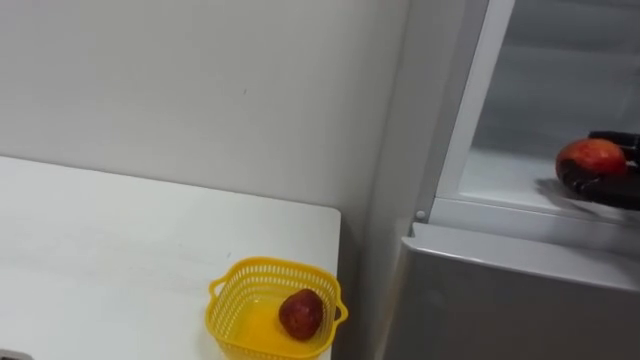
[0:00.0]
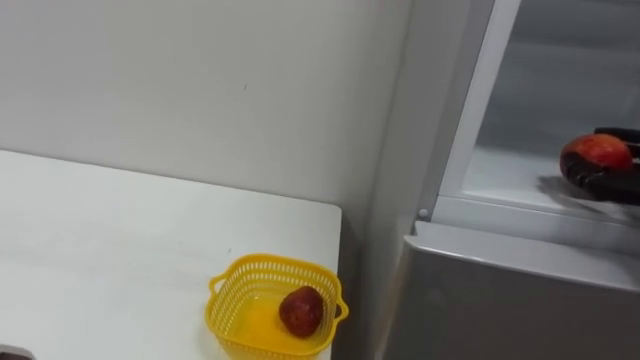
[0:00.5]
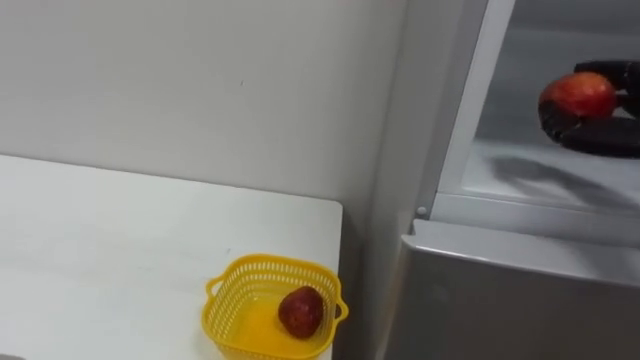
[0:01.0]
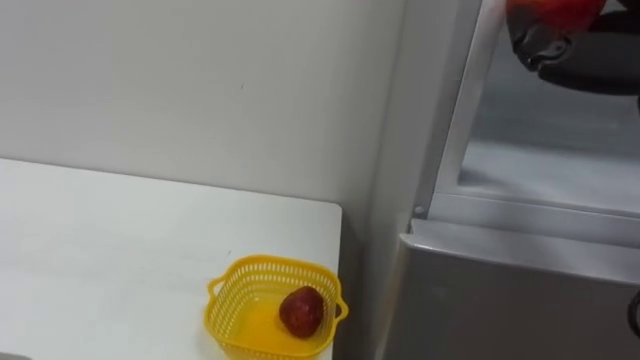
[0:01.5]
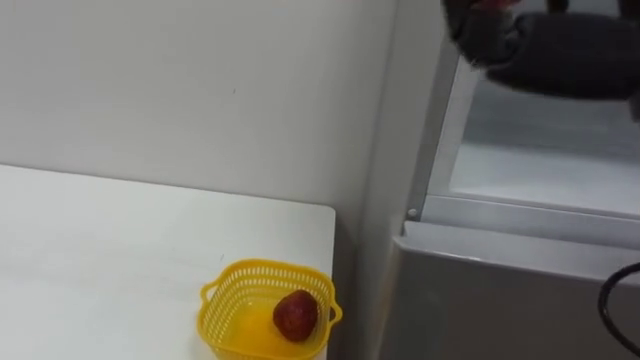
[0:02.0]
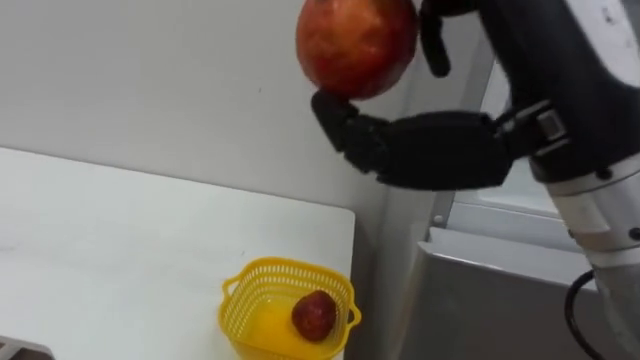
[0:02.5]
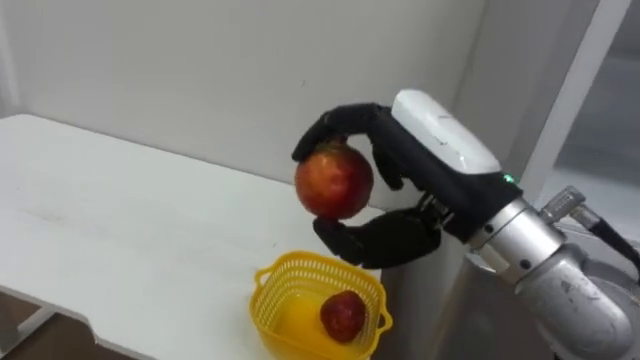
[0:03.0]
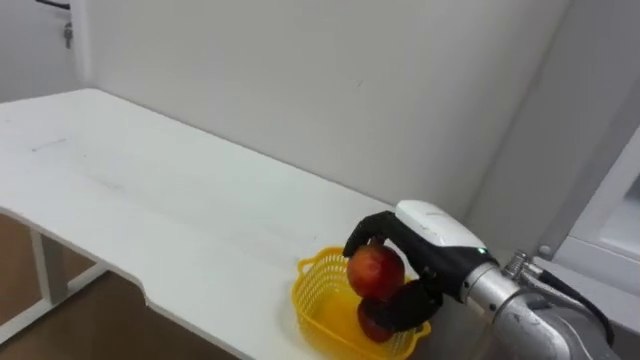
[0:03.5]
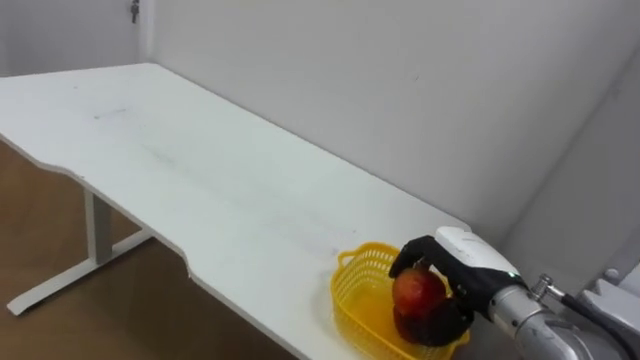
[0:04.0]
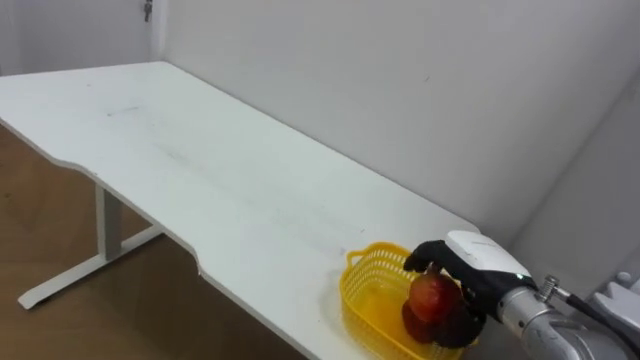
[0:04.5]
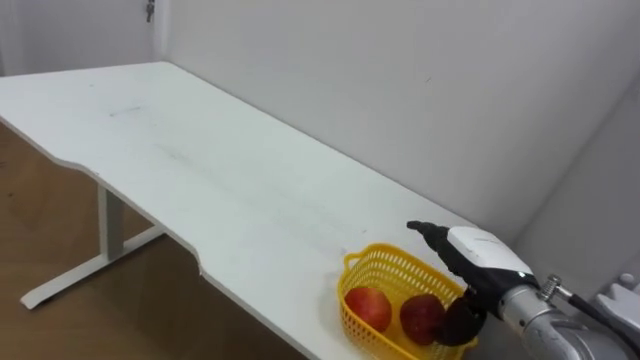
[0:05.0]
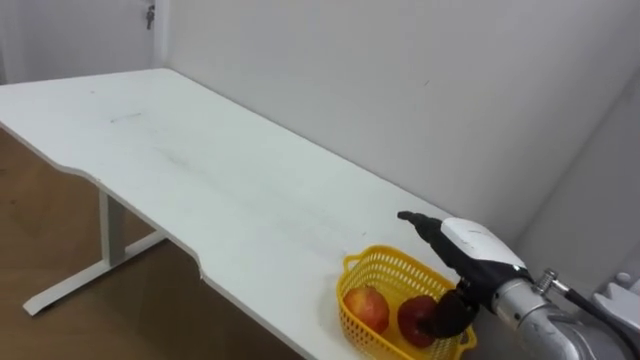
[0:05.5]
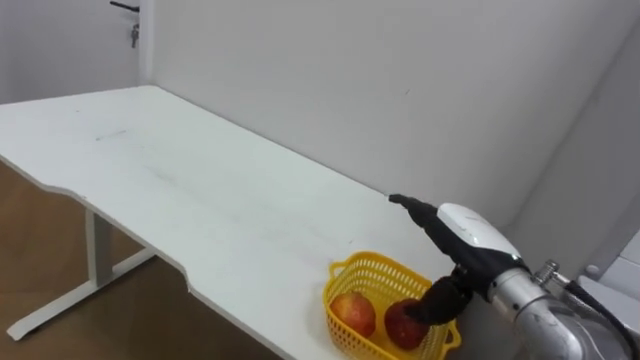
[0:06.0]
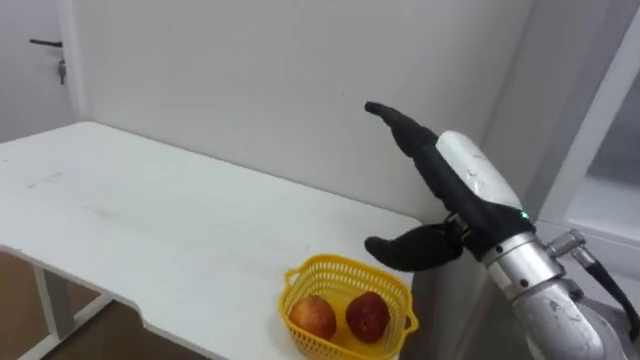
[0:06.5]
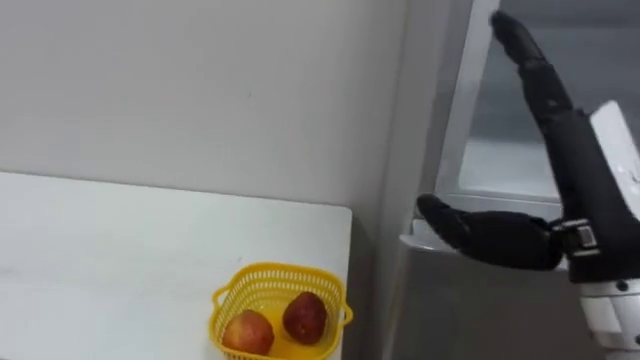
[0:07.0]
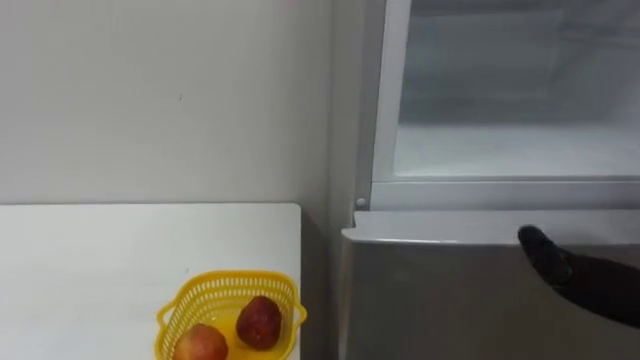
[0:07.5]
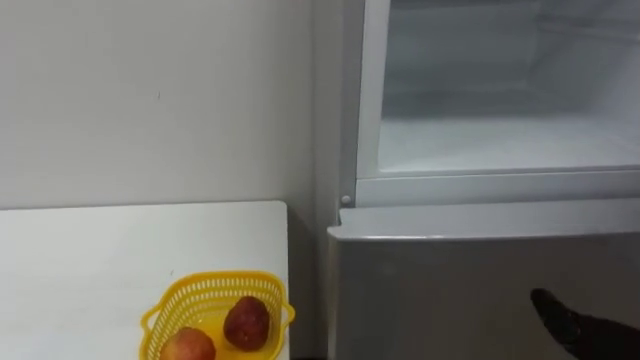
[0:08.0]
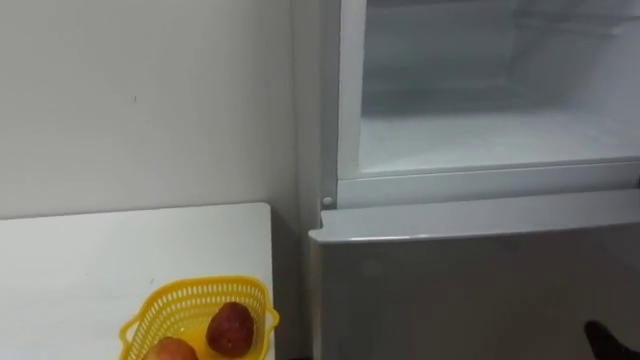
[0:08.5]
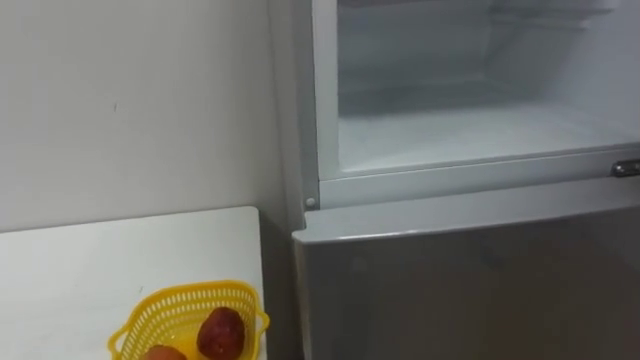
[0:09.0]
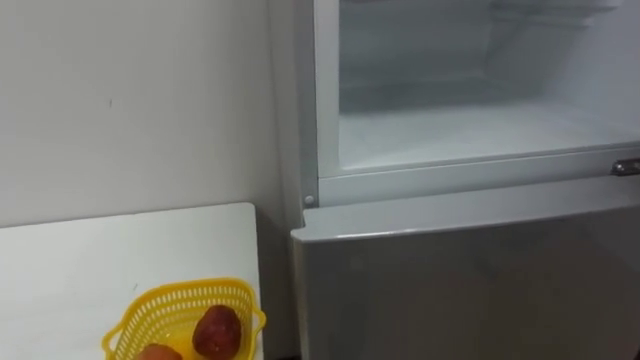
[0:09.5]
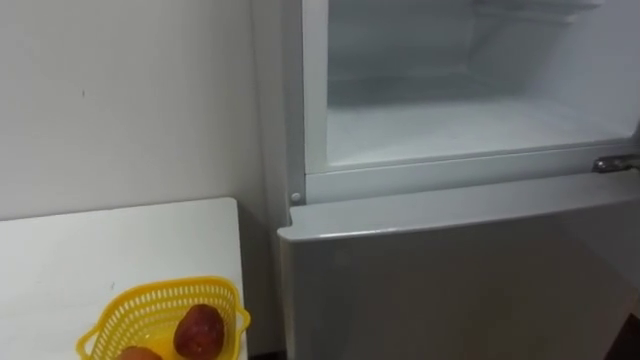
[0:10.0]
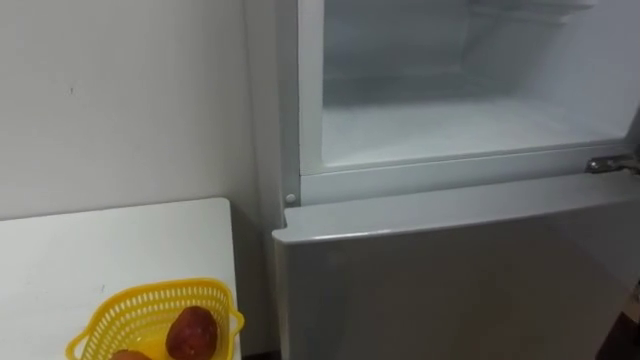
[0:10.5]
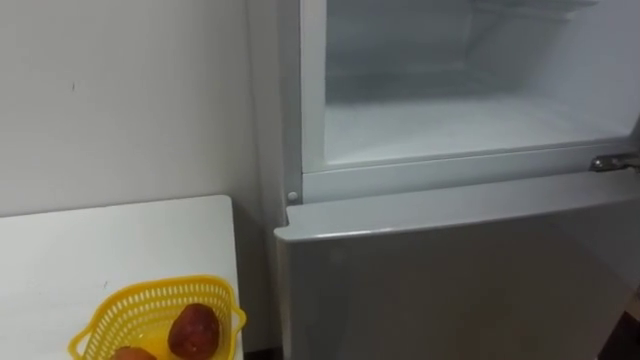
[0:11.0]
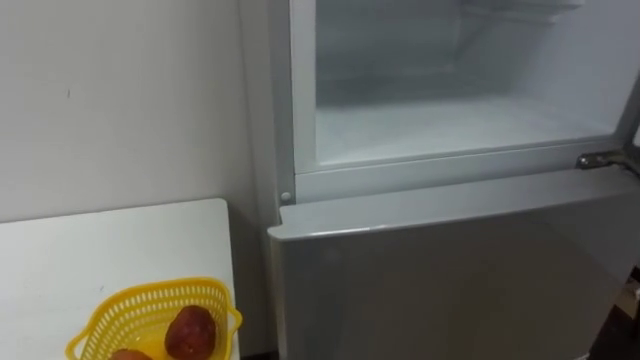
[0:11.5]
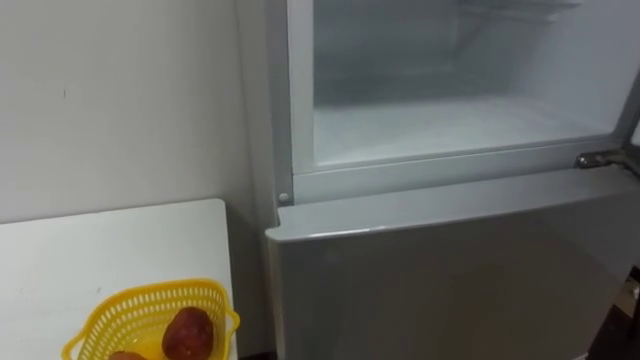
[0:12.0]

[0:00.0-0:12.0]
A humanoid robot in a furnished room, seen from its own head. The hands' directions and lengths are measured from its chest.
Task of the whole recording: Open the refrigerator door, take out the apple and the pomegranate, place them in the fruit basket on the left, and close the refrigerator door.
0:02.0 to 0:04.0: The right hand travels downward by approximately 30 cm.
0:04.0 to 0:06.0: The right hand opens.

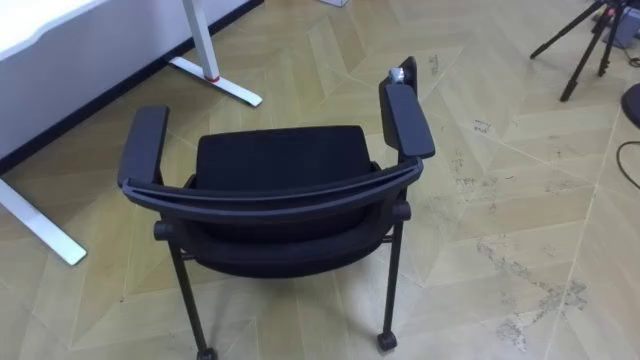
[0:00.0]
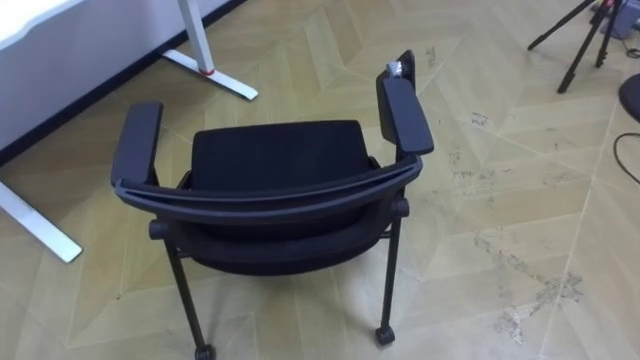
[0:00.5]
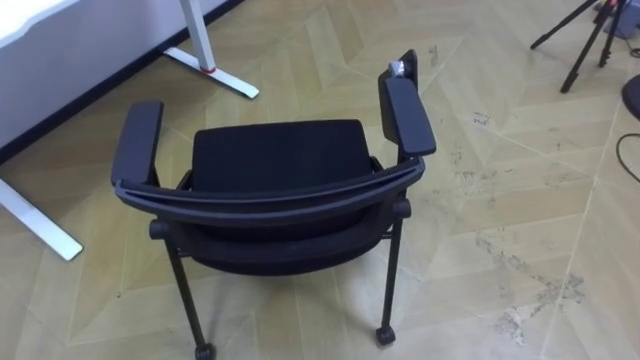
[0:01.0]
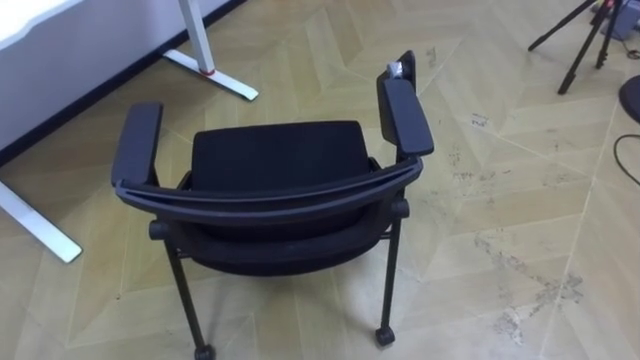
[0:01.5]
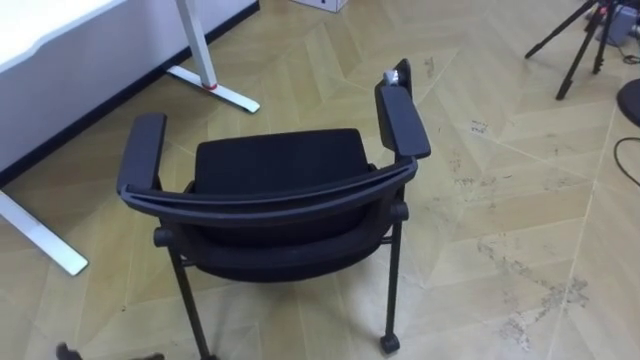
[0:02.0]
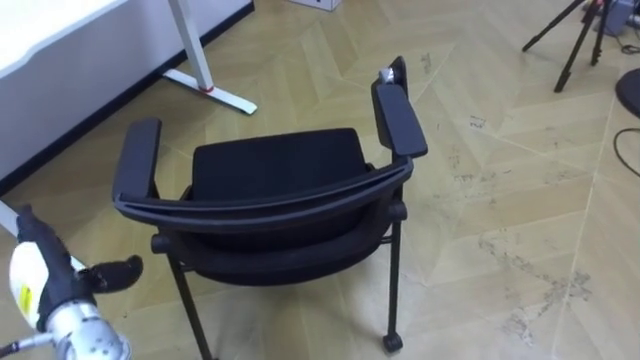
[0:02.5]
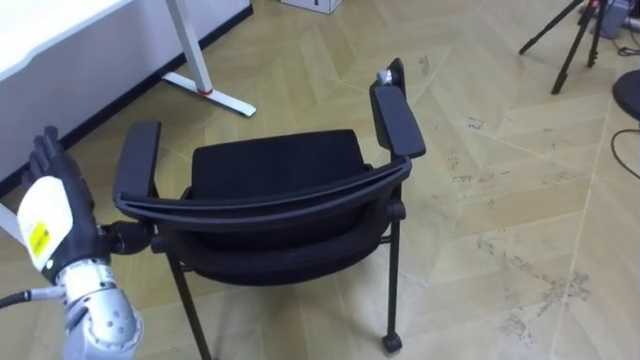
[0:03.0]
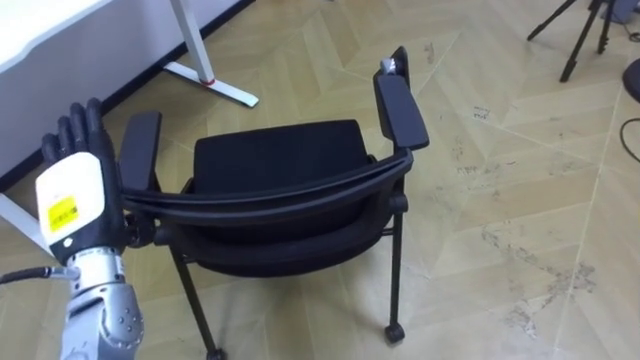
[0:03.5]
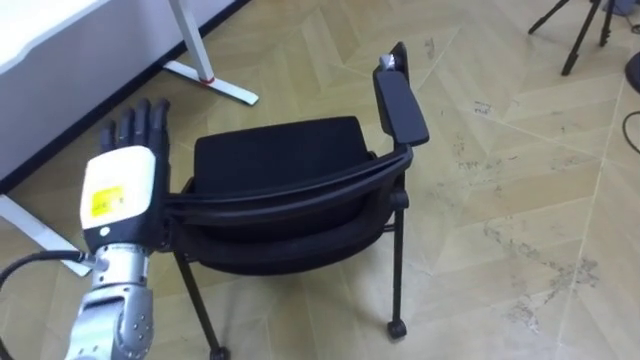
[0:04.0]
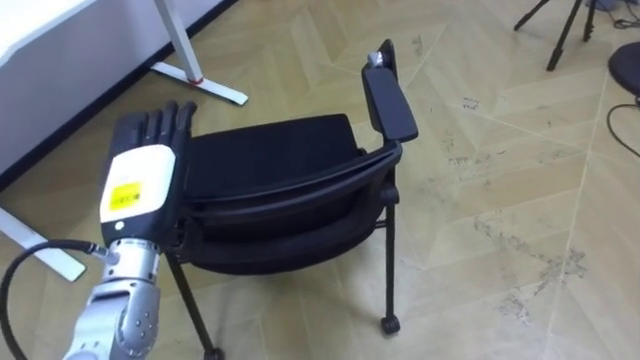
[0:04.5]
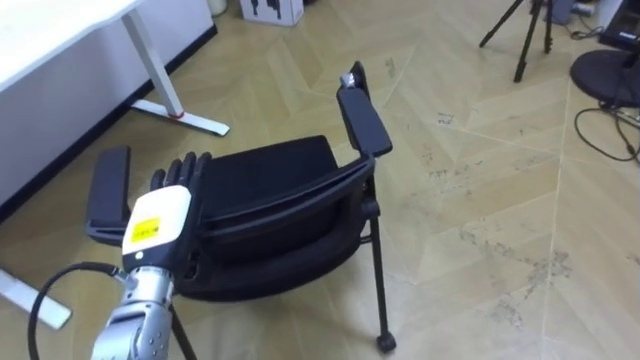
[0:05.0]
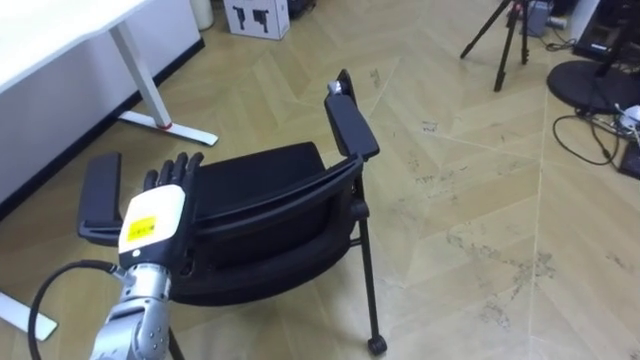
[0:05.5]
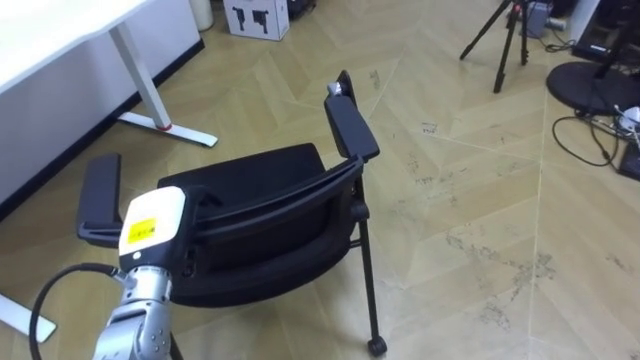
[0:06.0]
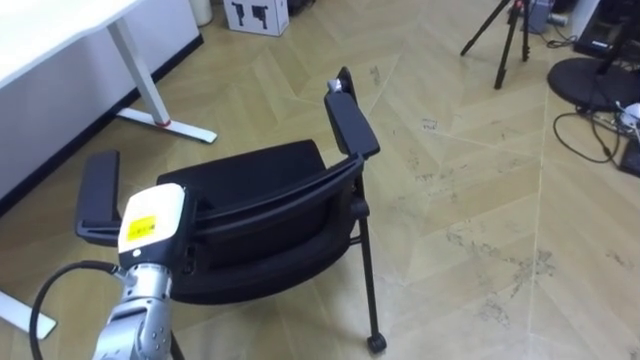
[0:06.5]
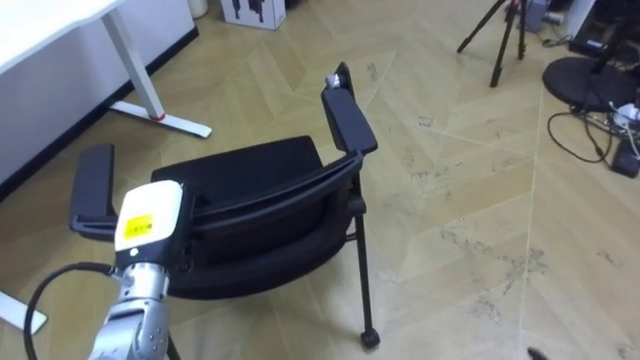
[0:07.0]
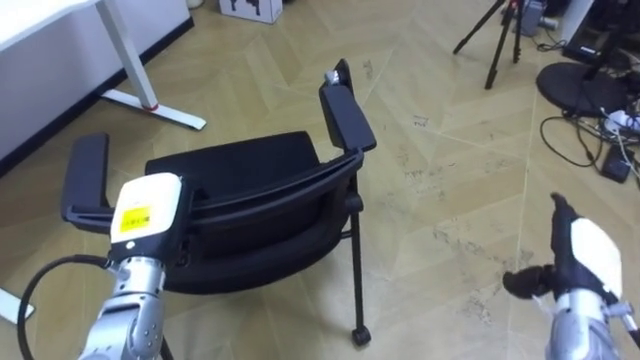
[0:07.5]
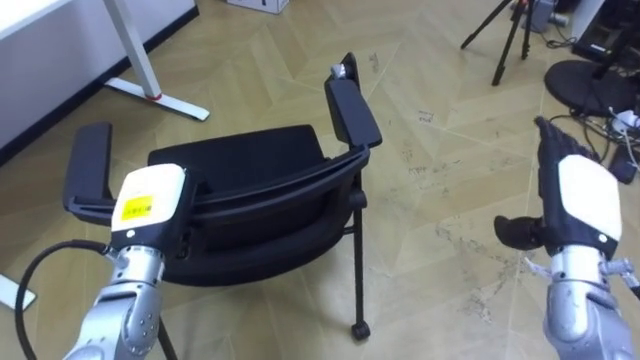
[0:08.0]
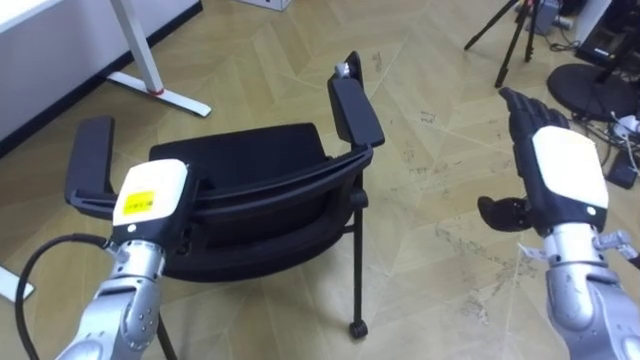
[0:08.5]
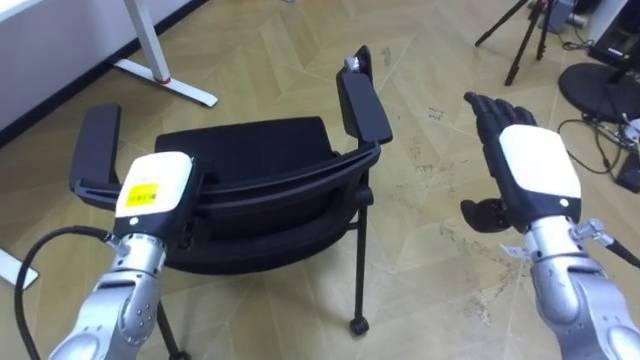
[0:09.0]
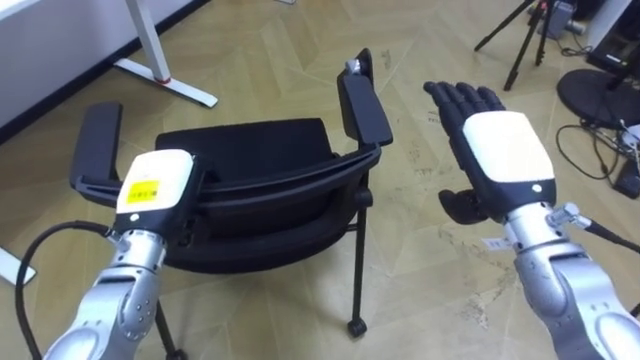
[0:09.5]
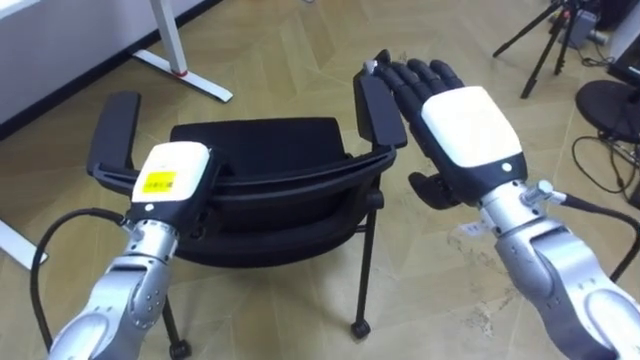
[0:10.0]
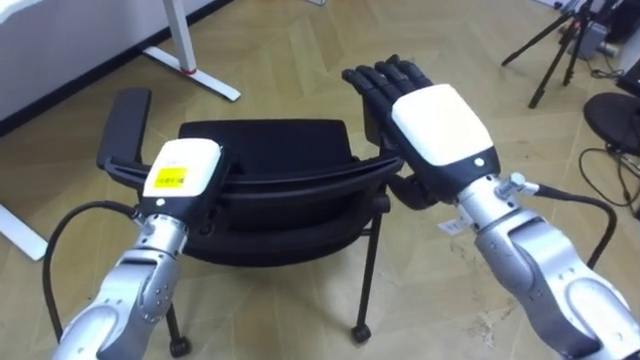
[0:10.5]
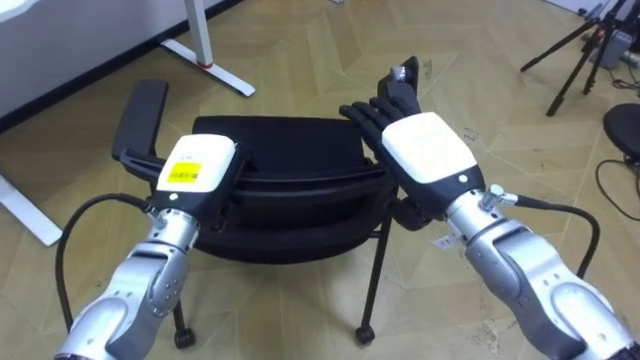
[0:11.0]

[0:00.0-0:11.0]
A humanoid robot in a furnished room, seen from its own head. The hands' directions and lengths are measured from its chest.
Task of the whole recording: Push the chair under the table.
0:03.5 to 0:05.5: The left hand shifts roughly 10 cm downward and to the right.
0:05.5 to 0:07.5: The left hand closes.
0:07.5 to 0:09.0: The right hand heads upward, to the left and forward, covering some 15 cm.
0:09.0 to 0:11.0: The left hand changes place by approximately 5 cm; the right hand travels to the left by approximately 10 cm.
